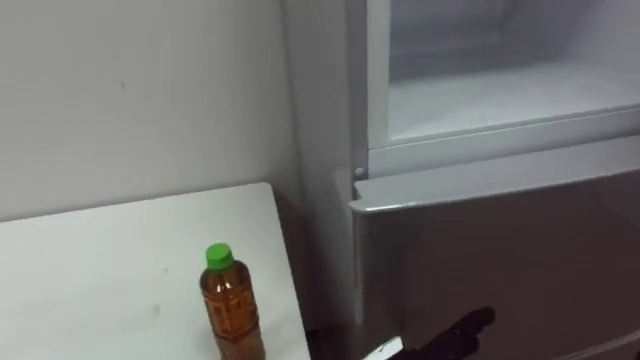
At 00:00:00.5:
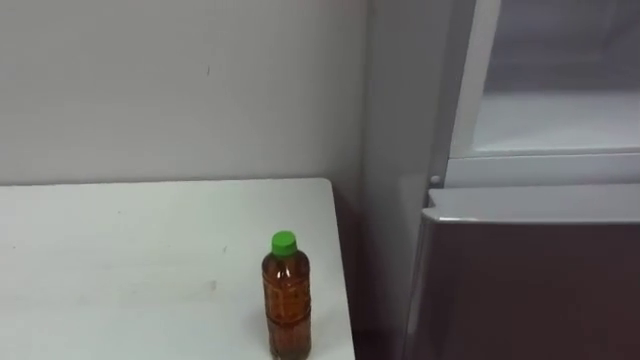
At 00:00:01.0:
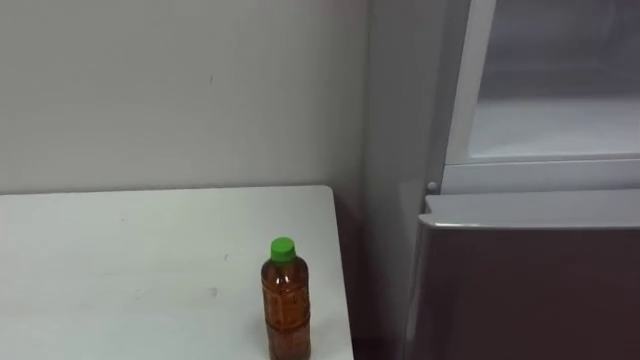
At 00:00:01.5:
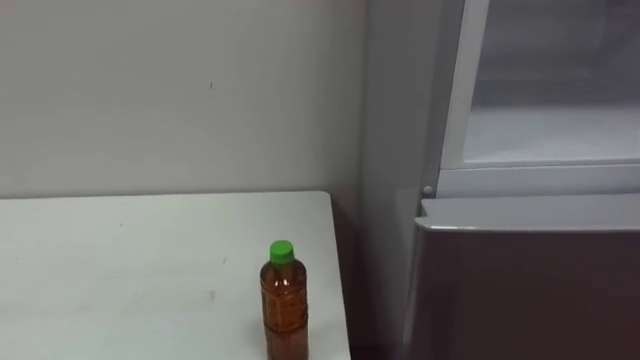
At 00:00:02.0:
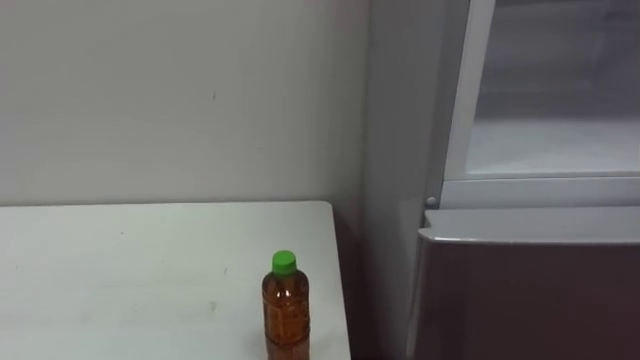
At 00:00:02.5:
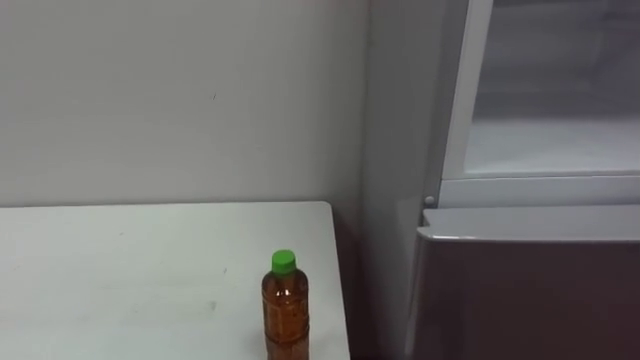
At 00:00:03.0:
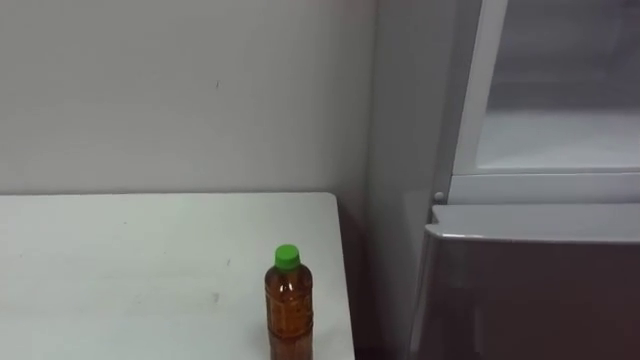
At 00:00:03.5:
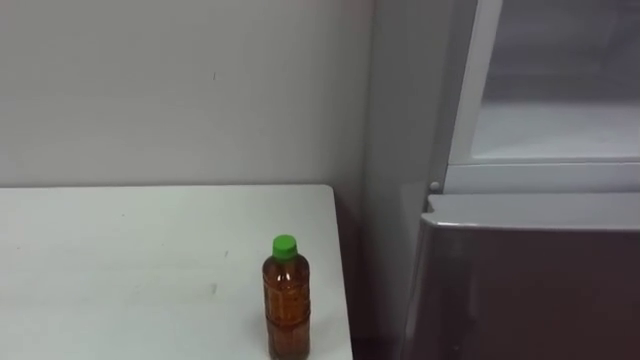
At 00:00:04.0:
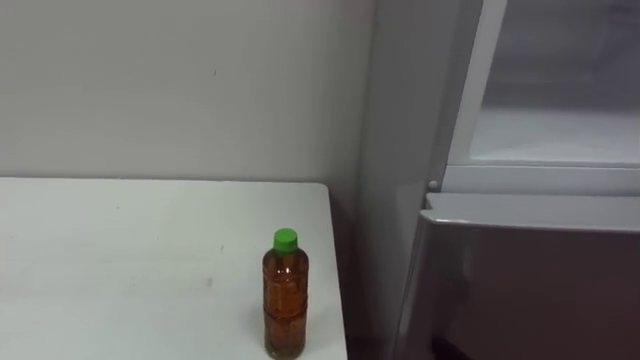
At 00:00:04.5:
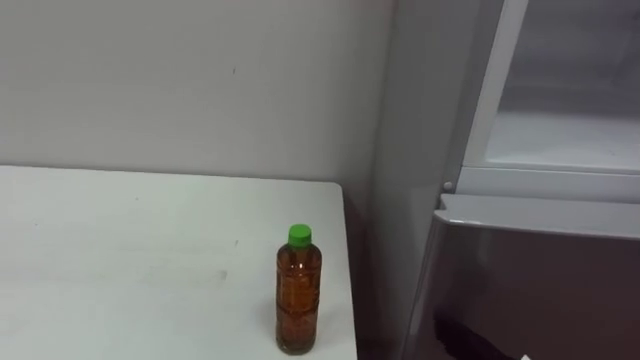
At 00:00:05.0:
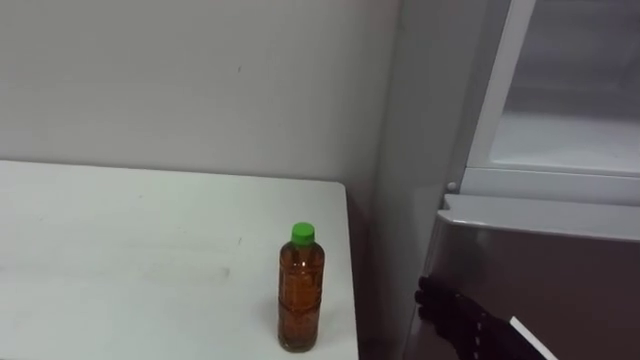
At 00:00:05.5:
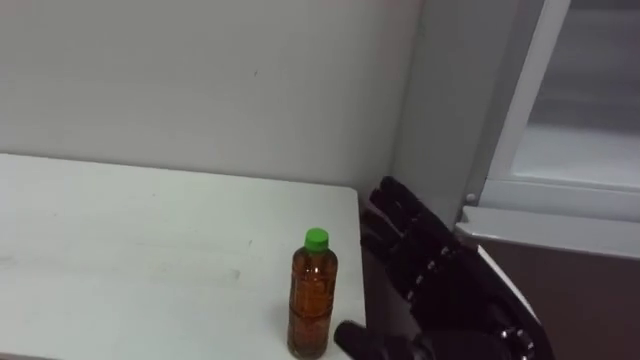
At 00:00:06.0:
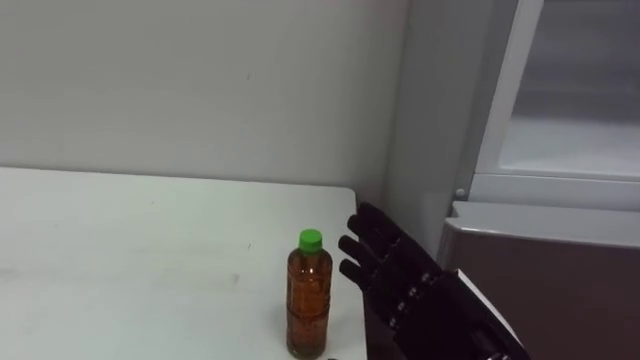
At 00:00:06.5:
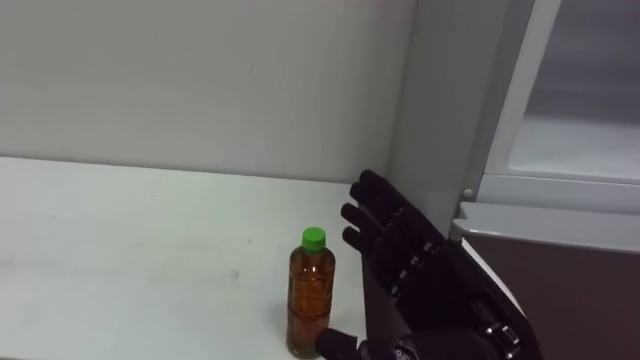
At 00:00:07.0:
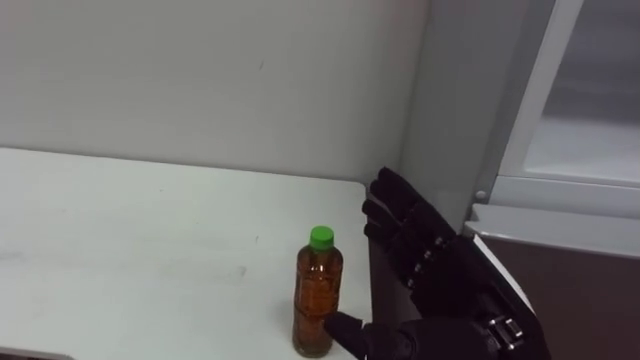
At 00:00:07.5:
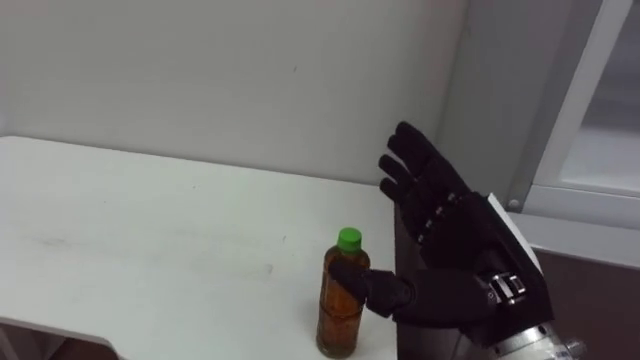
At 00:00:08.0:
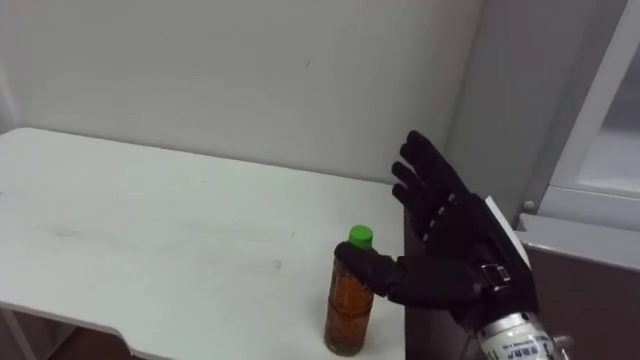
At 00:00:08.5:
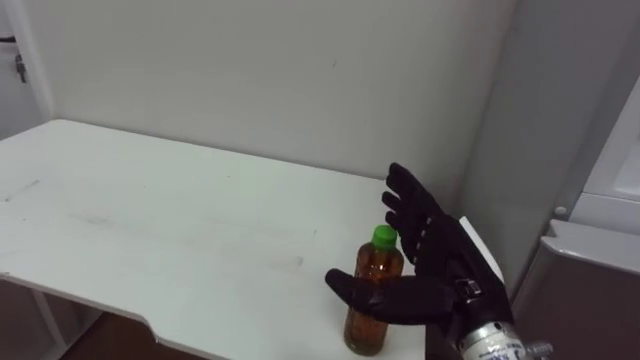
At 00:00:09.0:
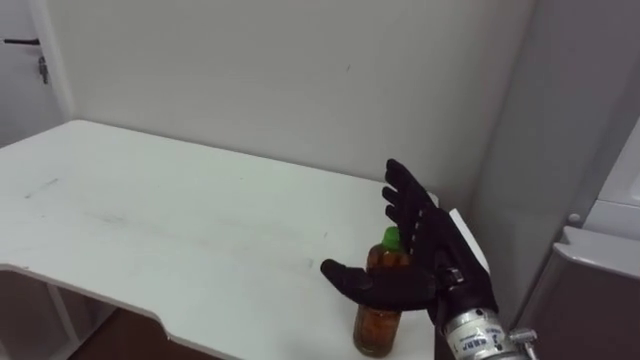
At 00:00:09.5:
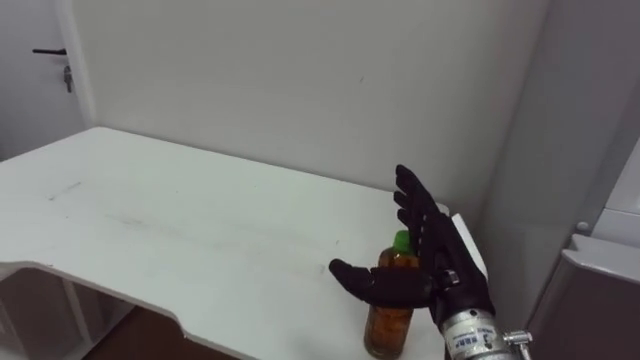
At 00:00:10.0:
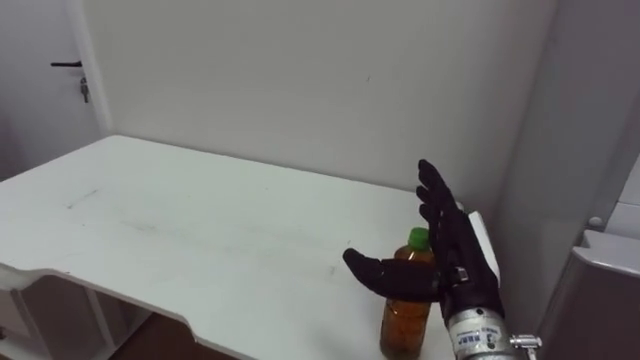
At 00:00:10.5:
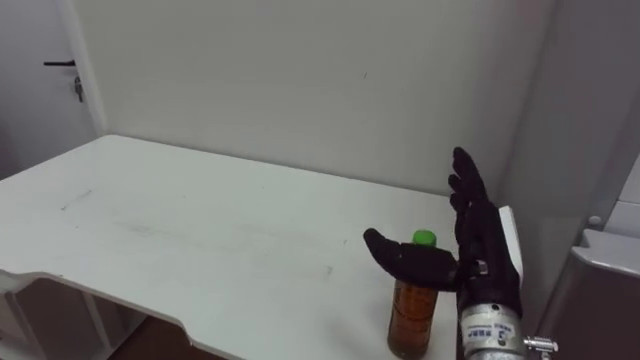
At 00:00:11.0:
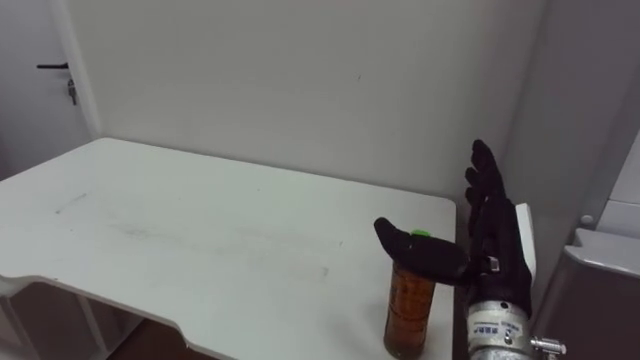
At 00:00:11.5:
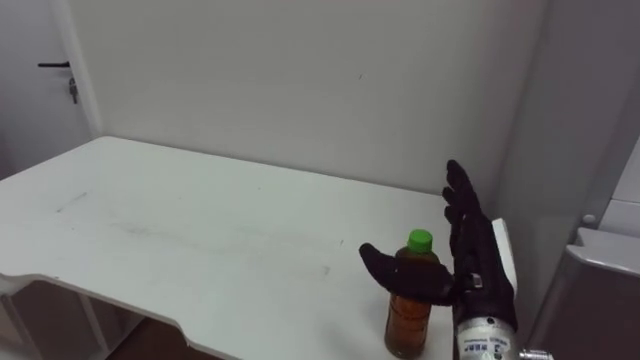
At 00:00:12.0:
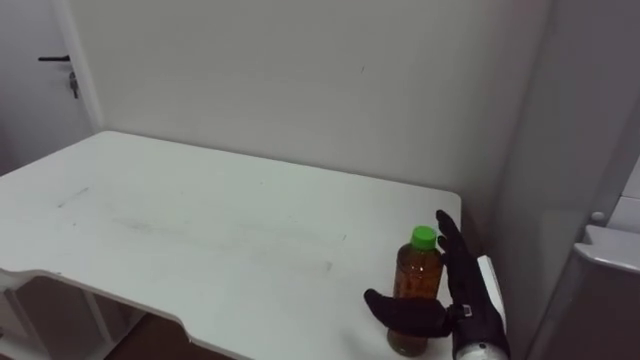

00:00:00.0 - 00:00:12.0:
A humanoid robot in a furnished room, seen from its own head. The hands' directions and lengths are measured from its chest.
Task of the whole recording: Open the upper refrigerator door, put the drink from the table into the refrigerator, and then close the refrigerator door.
00:00:06.0 - 00:00:08.0: The right hand travels forward by some 5 cm.
00:00:08.0 - 00:00:10.0: The right hand ends up some 5 cm from where it was.
00:00:10.0 - 00:00:12.0: The right hand goes about 5 cm downward.

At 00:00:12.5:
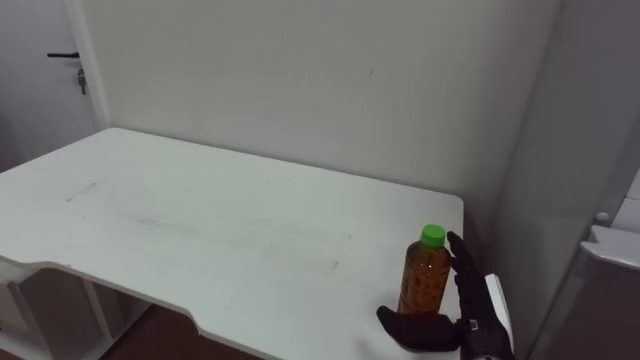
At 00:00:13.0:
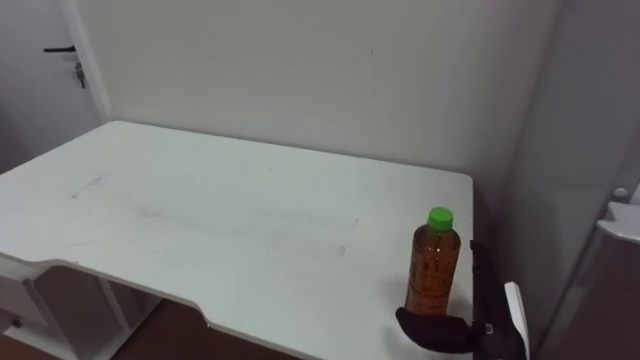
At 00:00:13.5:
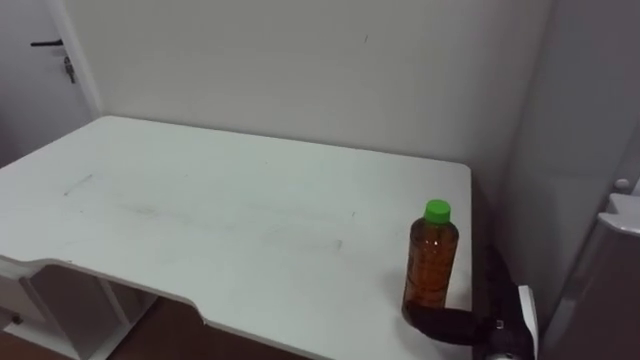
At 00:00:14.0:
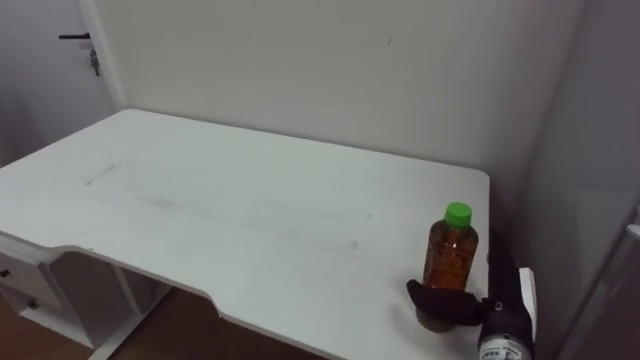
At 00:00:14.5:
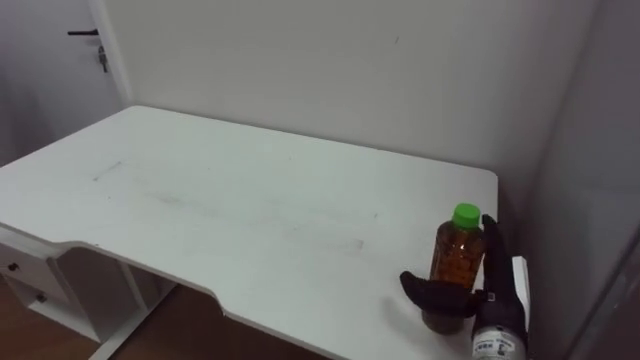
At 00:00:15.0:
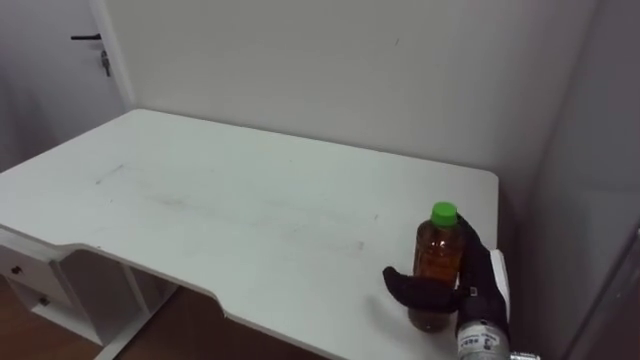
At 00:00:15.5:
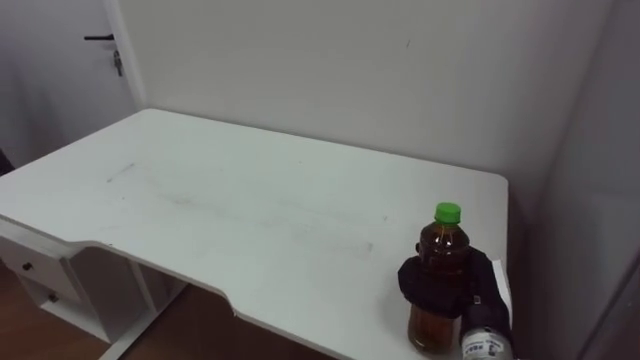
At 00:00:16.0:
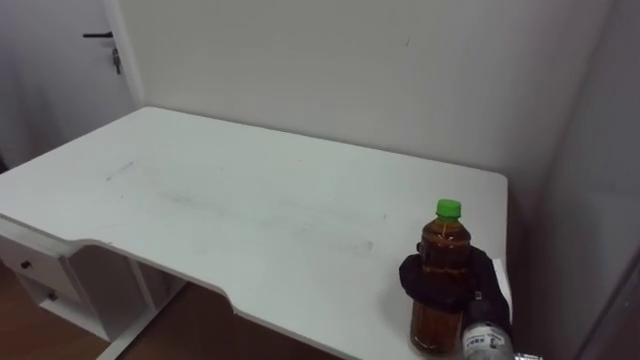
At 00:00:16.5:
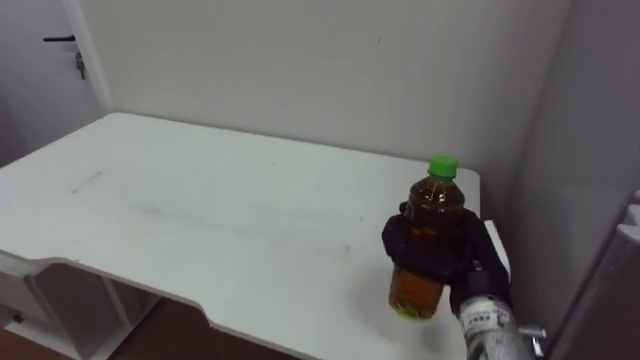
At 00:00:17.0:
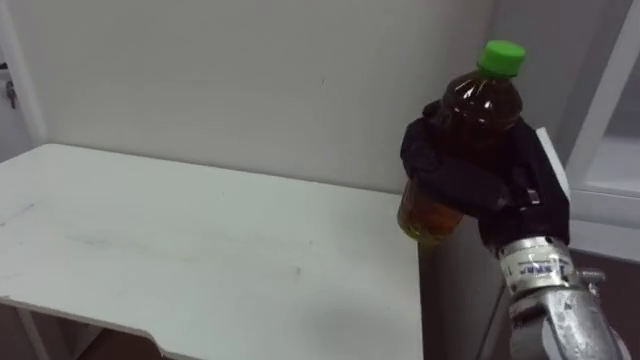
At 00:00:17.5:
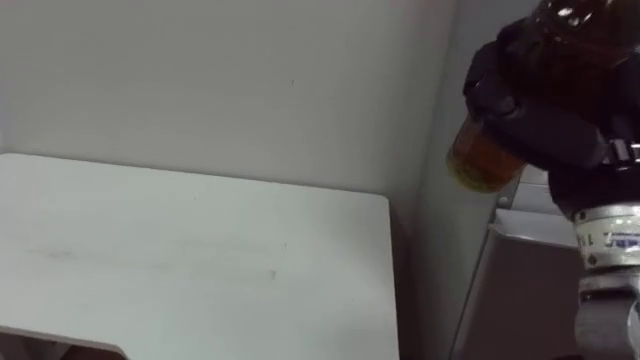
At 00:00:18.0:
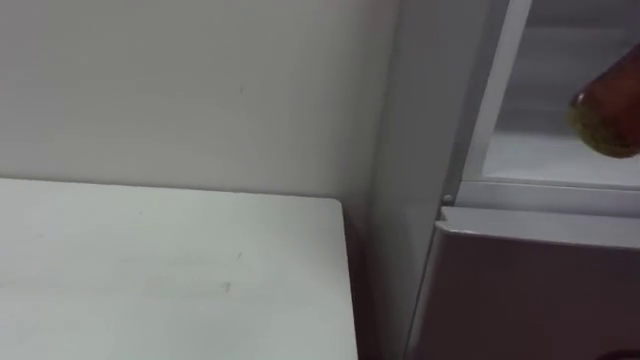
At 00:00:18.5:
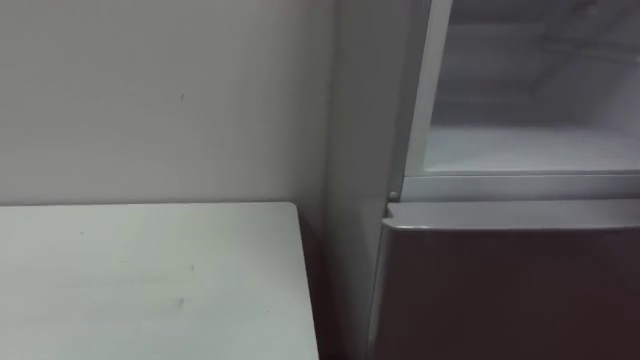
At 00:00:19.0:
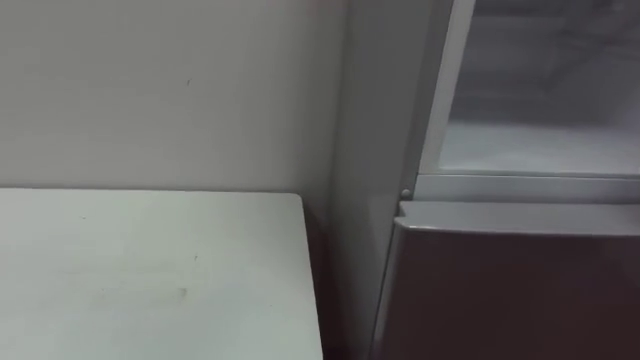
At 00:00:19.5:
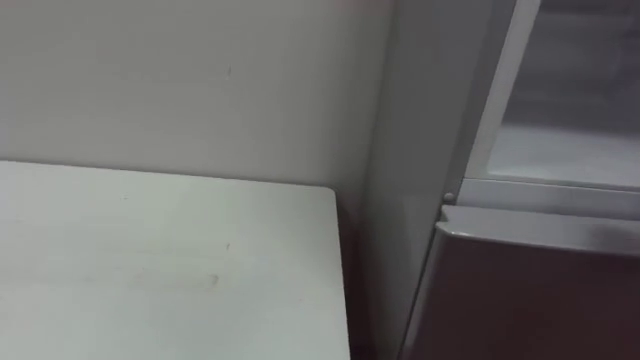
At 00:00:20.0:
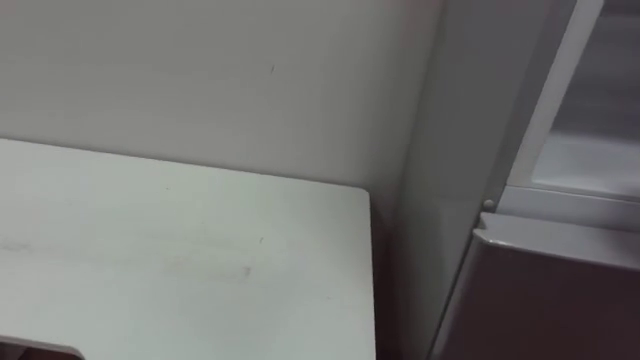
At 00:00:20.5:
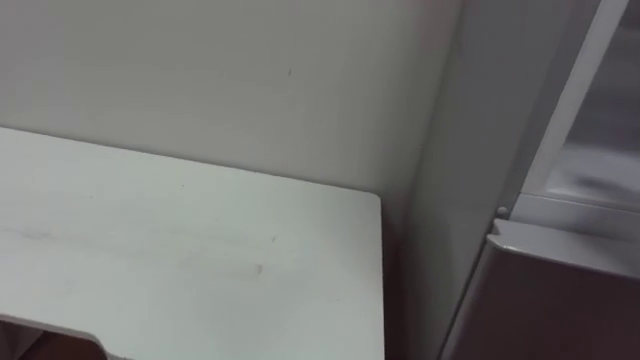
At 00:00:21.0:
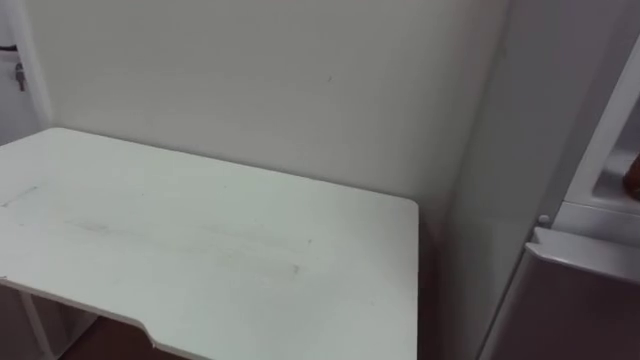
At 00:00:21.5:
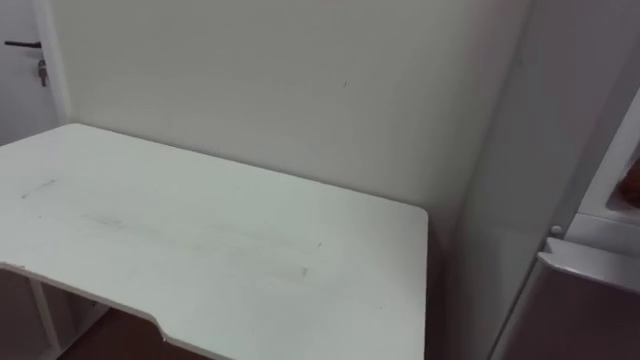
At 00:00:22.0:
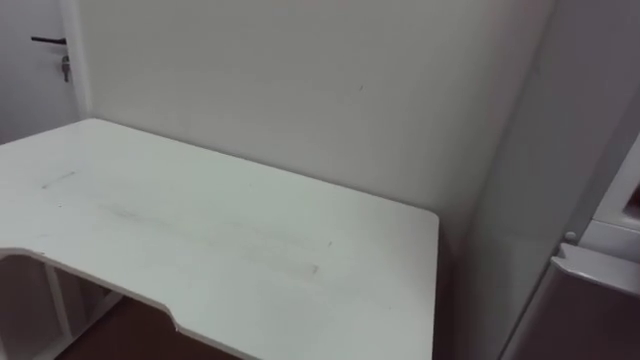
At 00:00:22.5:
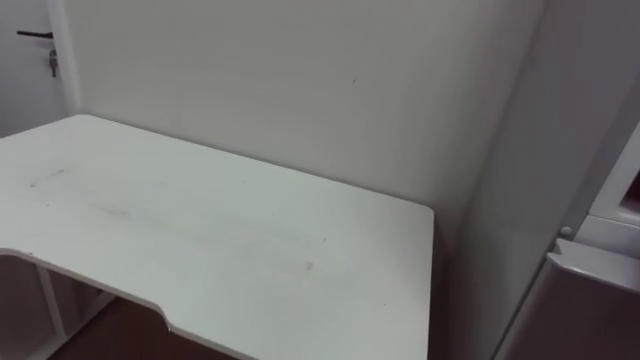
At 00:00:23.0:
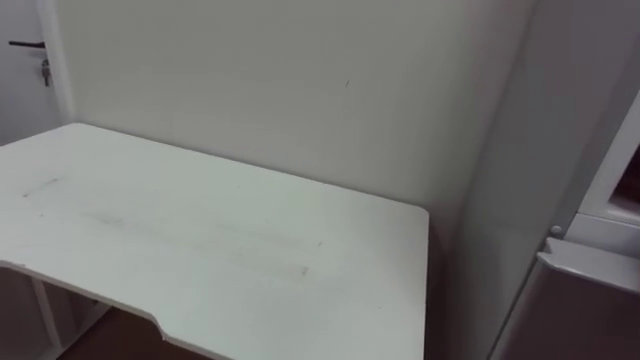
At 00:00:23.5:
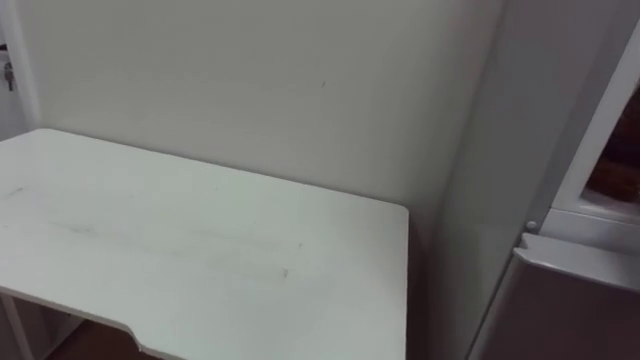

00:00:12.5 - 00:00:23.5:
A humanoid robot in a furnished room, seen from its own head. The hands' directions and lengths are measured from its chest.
Task of the whole recording: Open the upper refrigerator door, put the drink from the table into the refrigerator, and then close the refrigerator door.
00:00:14.5 - 00:00:16.0: The right hand closes.